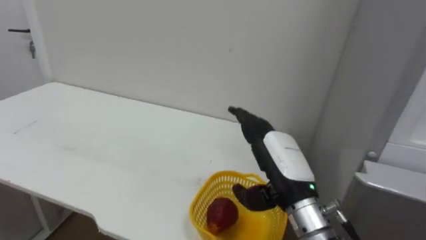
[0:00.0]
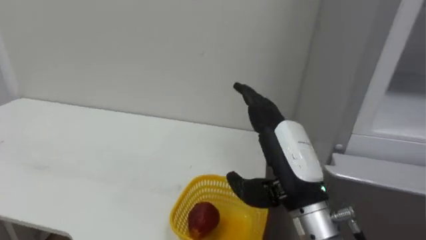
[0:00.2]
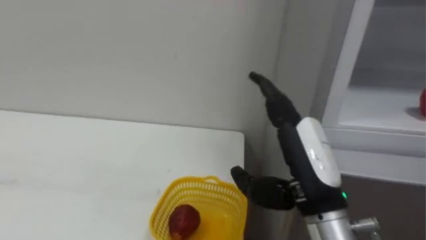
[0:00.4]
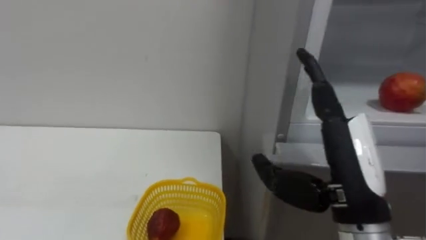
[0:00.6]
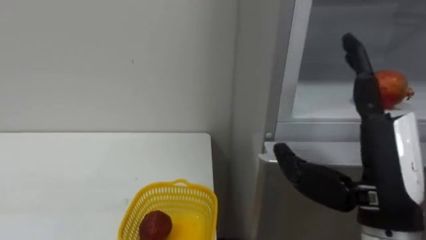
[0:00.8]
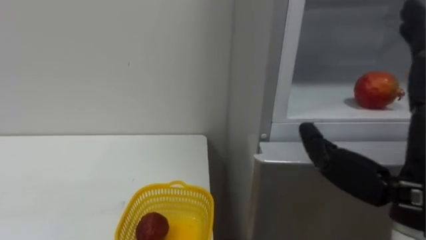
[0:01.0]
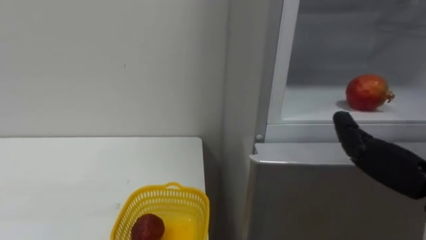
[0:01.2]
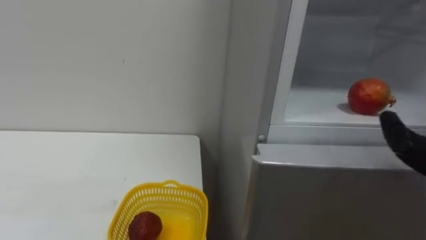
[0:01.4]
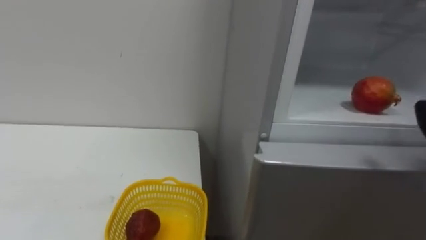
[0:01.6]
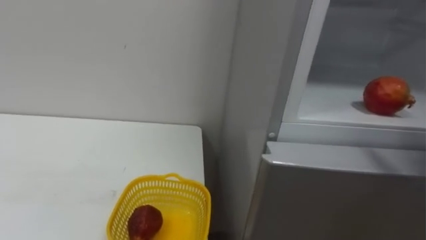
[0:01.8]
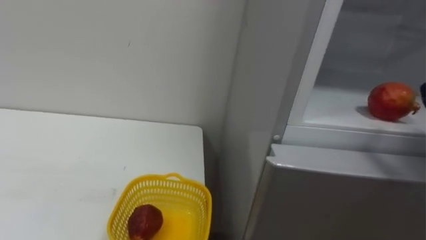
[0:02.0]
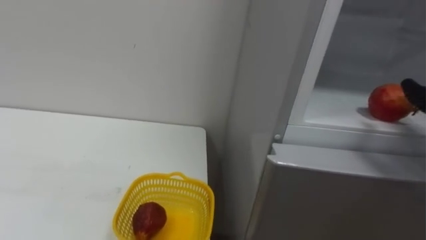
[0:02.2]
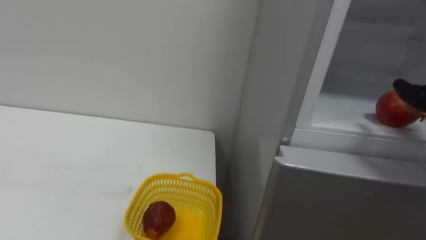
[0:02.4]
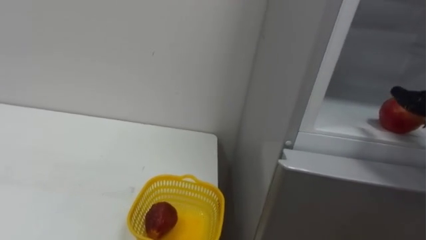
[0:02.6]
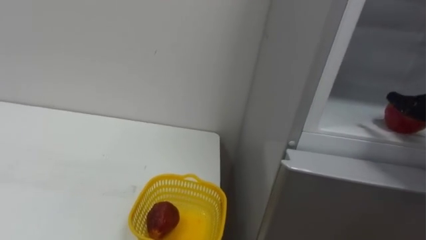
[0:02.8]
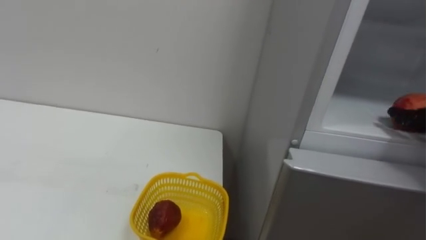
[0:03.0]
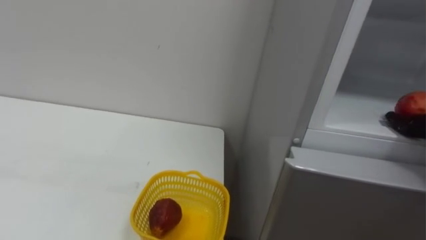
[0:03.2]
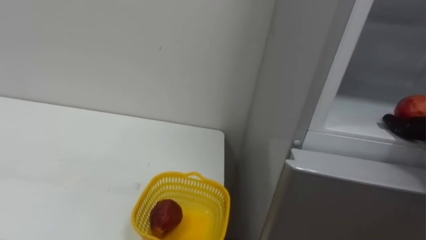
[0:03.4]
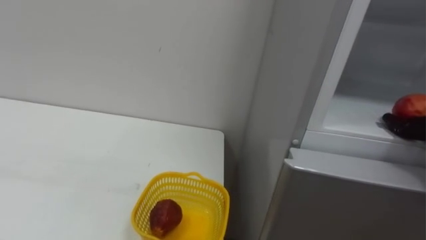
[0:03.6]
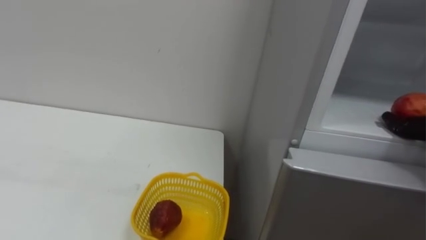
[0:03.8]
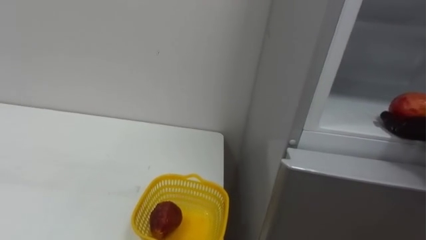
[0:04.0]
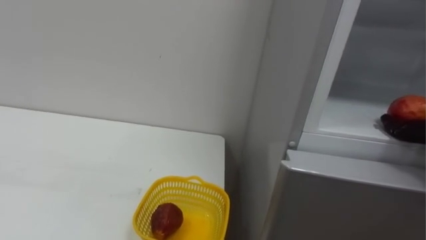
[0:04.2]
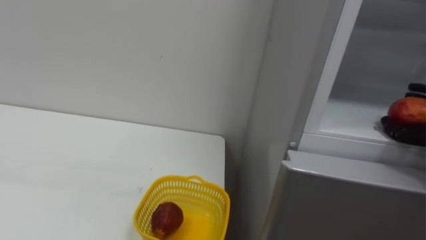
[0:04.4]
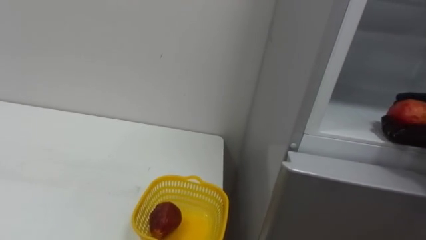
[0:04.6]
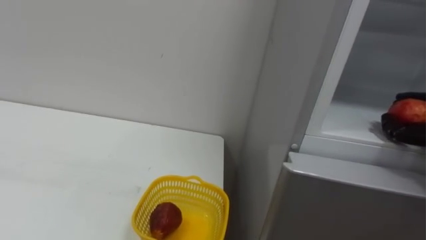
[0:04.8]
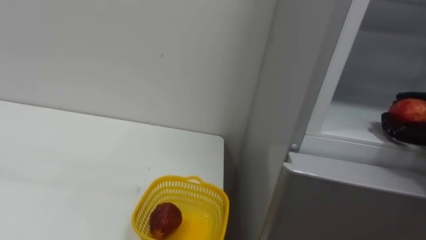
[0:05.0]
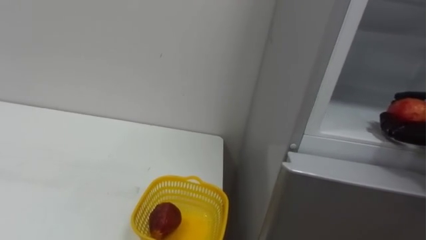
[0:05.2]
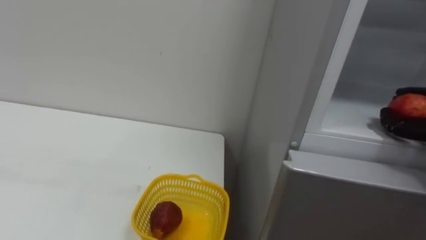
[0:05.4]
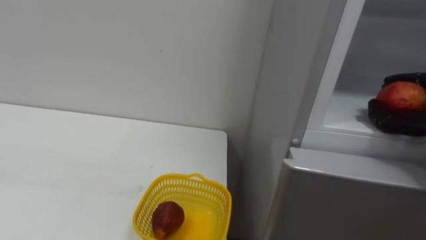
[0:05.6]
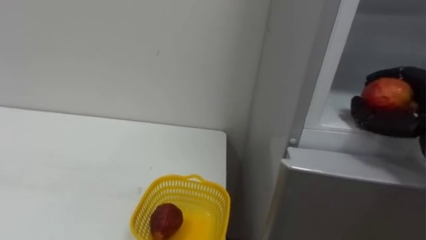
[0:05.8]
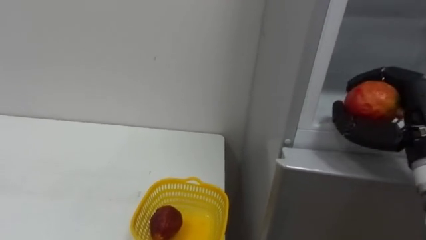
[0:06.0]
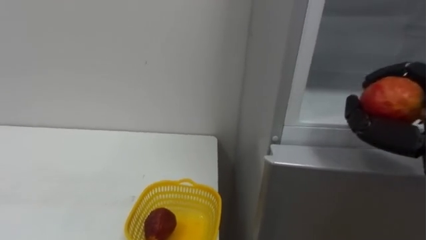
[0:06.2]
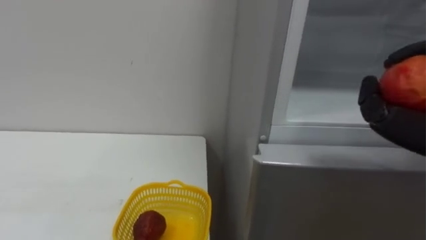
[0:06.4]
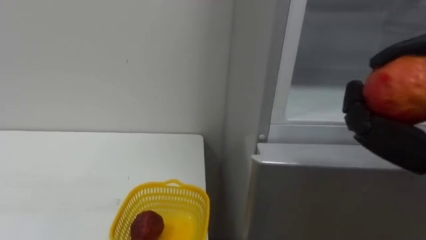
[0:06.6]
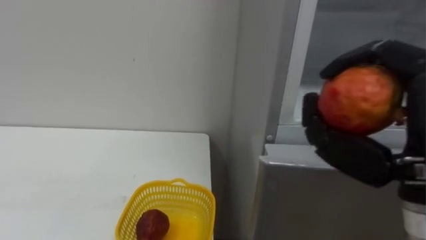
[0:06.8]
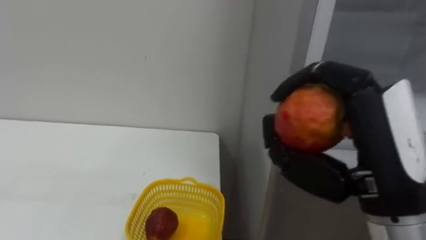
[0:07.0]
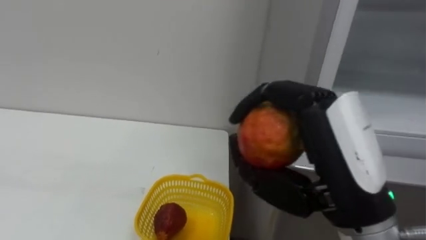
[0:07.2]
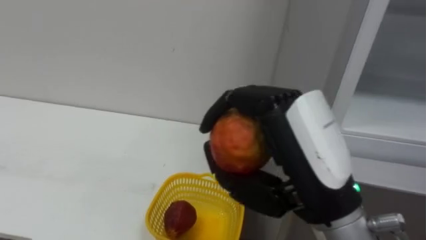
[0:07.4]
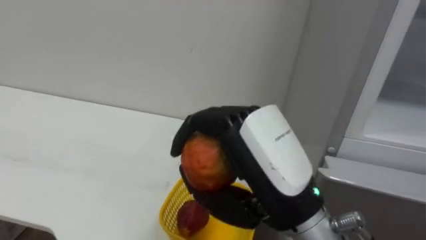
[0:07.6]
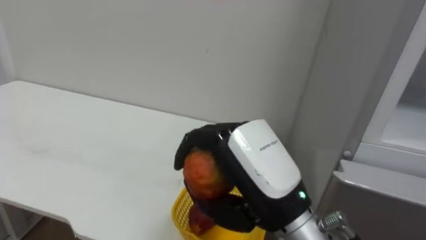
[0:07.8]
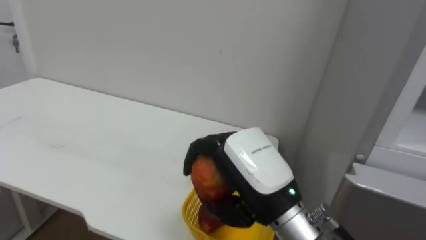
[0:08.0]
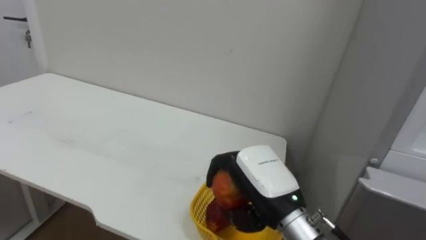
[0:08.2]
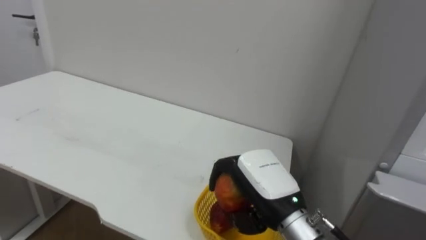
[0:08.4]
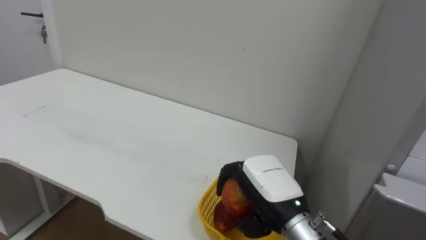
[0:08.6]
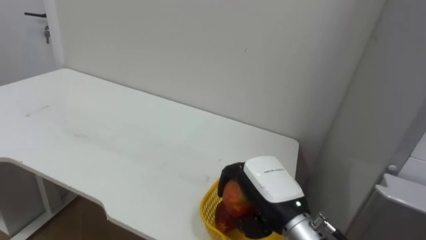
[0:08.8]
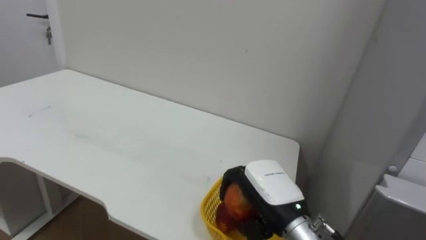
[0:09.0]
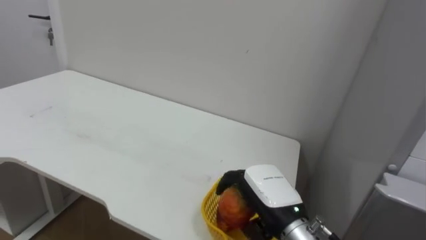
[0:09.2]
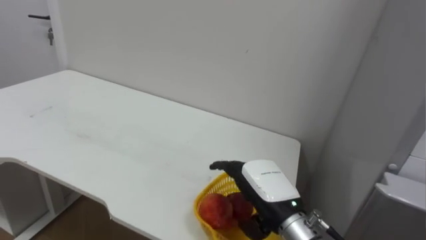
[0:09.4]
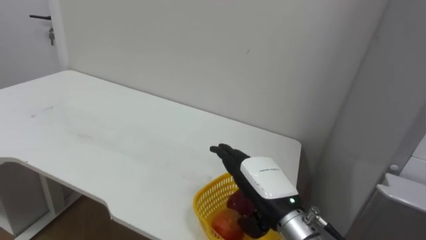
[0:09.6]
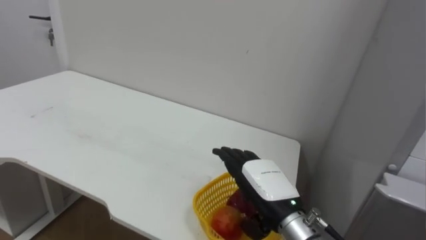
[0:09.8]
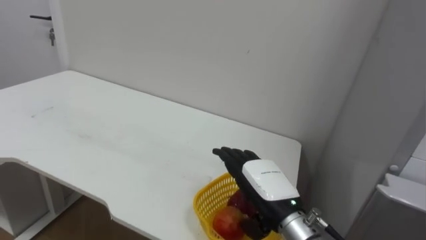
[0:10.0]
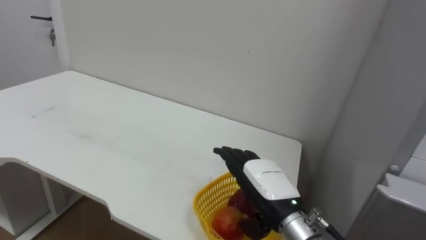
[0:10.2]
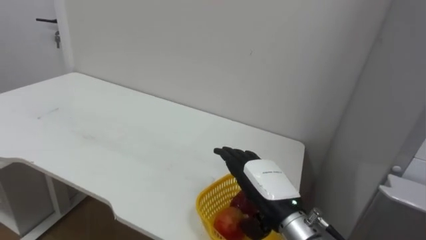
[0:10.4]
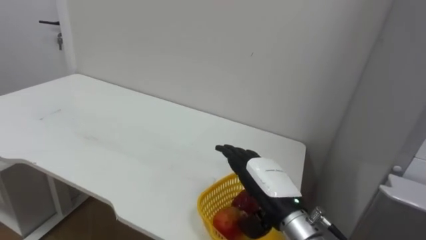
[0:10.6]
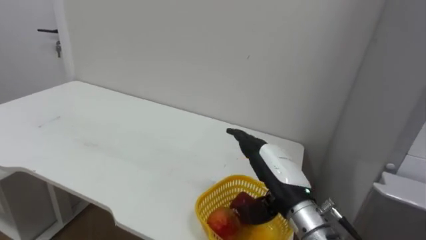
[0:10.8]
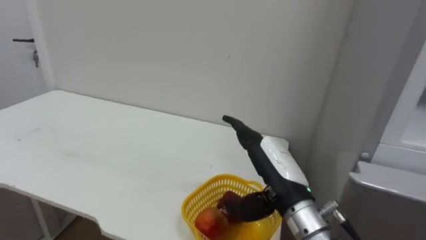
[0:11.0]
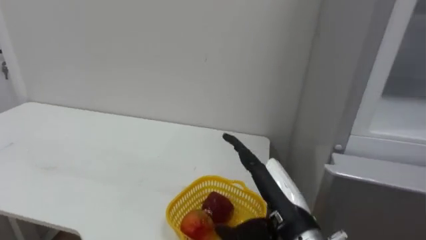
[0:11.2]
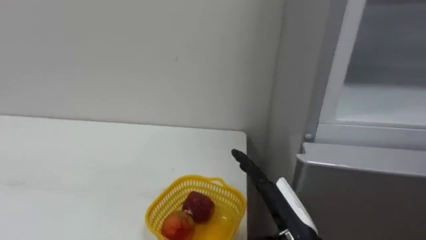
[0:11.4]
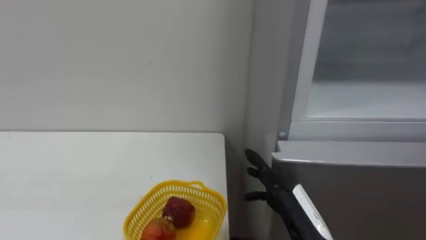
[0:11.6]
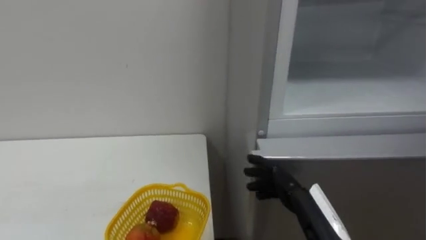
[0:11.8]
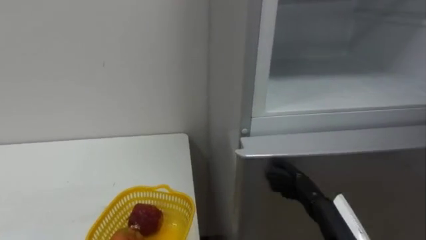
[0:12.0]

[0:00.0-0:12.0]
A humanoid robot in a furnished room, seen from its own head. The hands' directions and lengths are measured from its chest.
Task of the whole recording: Open the refrigerator door, take out the apple and the pomegranate, place them in the fruit basket on the left, and close the refrigerator door.
7.6 to 9.0 s: The right hand travels downward and forward by some 15 cm.
9.0 to 10.4 s: The right hand opens.
10.4 to 12.0 s: The right hand moves backward and to the right, approximately 15 cm.

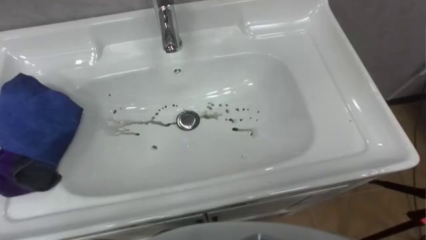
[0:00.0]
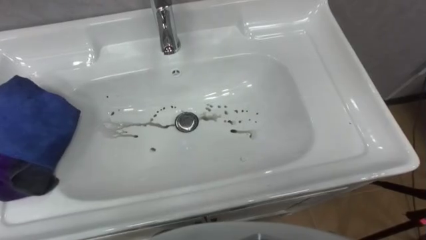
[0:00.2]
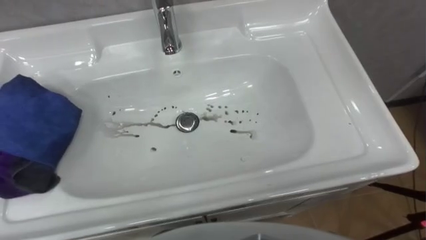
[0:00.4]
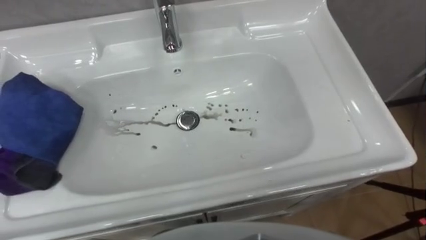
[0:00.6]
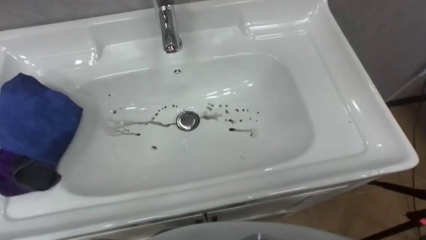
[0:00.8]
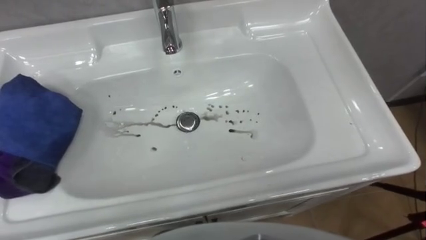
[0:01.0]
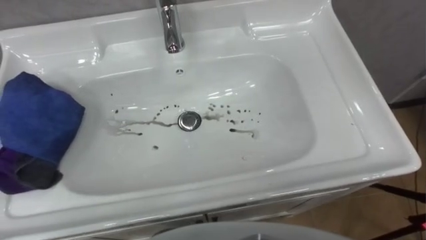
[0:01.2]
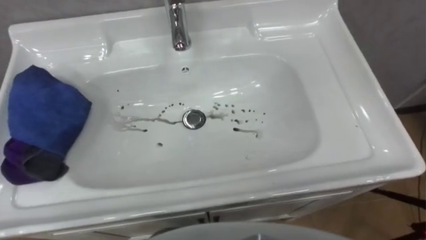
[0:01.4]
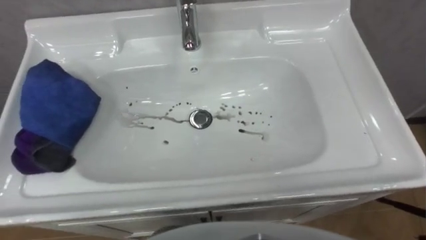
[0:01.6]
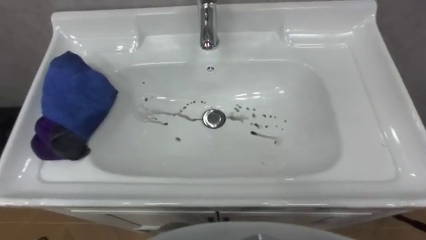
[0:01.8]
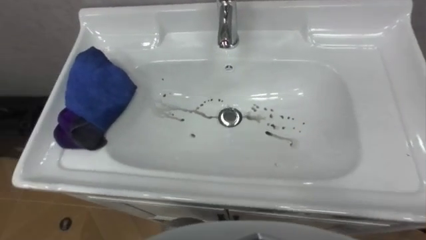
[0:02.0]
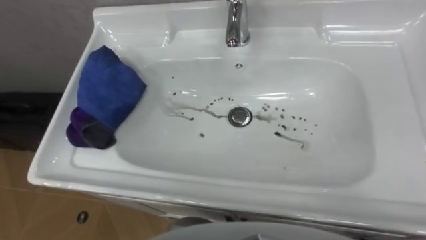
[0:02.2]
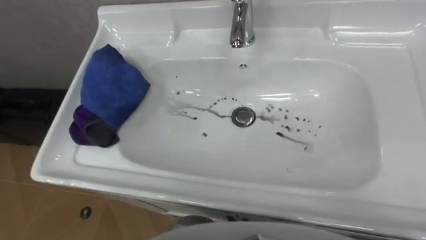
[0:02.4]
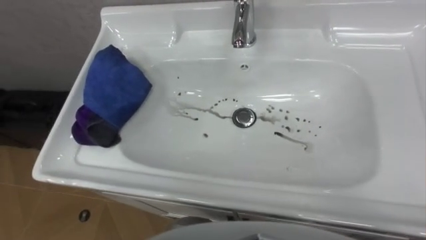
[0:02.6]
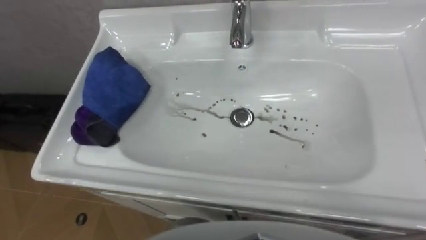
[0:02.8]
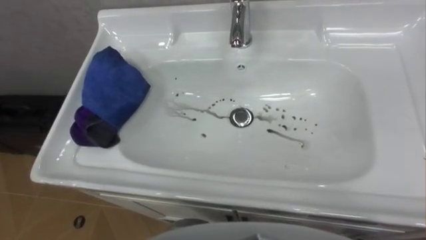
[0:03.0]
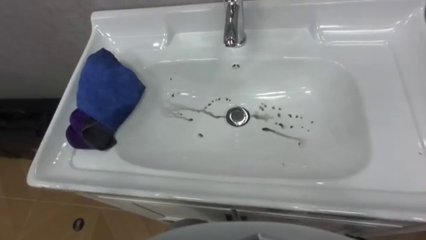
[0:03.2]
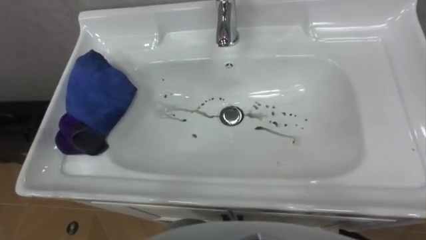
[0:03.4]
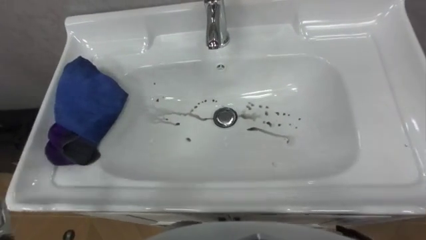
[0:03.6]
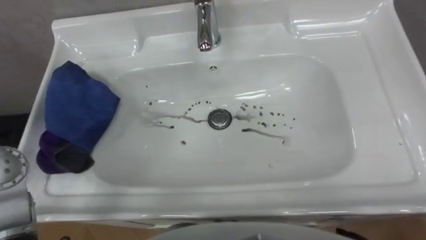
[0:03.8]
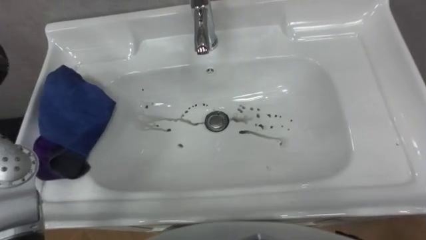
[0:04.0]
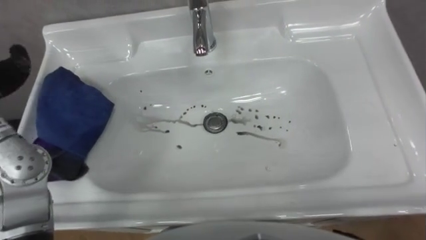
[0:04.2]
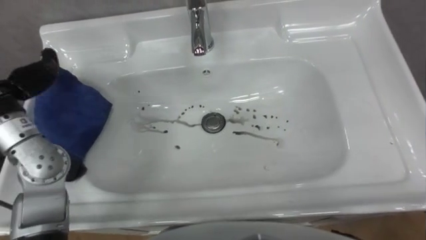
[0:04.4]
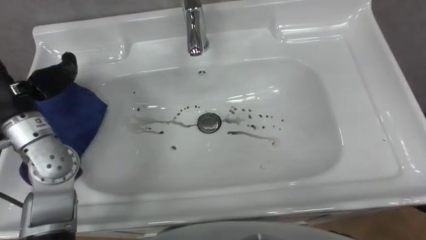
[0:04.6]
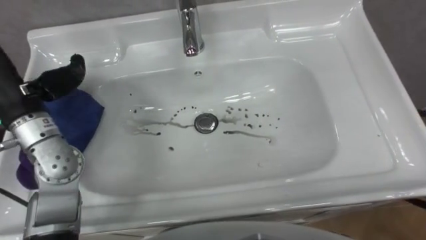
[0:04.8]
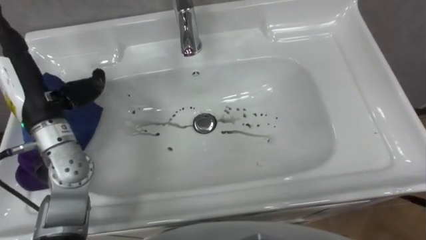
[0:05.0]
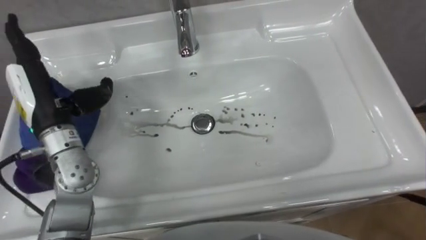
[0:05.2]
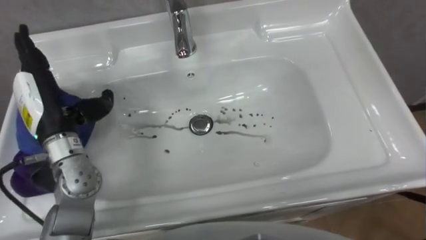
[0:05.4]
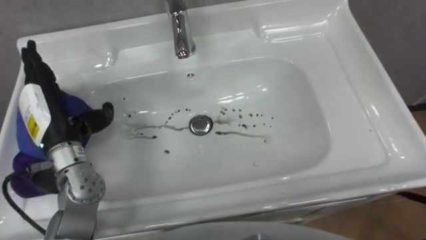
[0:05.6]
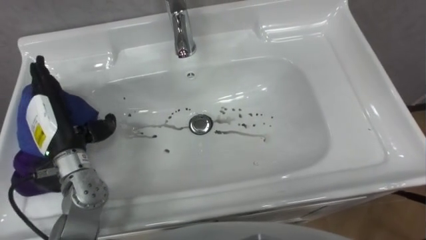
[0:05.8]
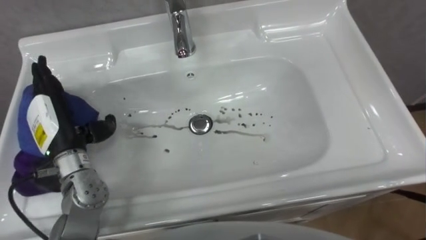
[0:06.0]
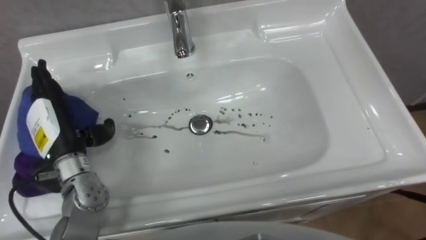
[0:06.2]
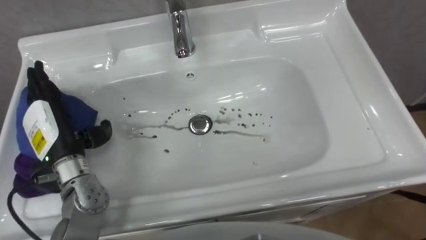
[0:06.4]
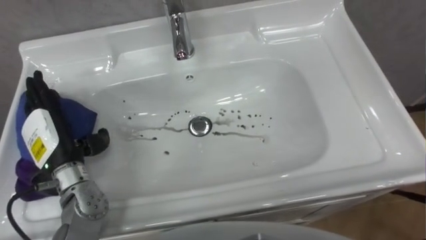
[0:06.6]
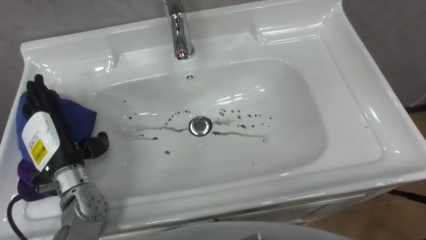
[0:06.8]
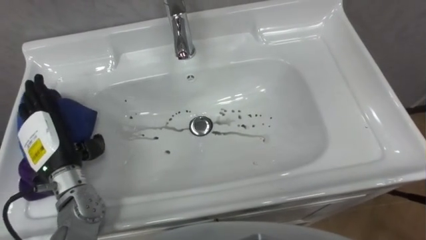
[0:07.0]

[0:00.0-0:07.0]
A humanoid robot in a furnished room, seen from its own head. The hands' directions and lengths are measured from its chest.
Task of the whole recording: Use the cloth on the right to wipe away the black stain in the sink.
5.6 to 7.0 s: The left hand ends up roughly 5 cm from where it was.
